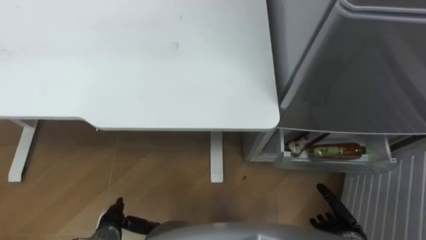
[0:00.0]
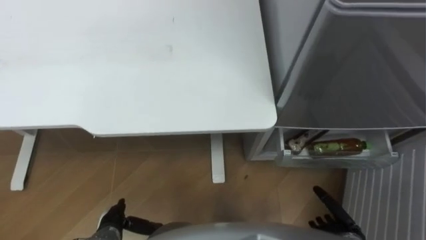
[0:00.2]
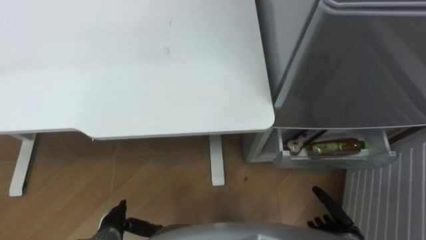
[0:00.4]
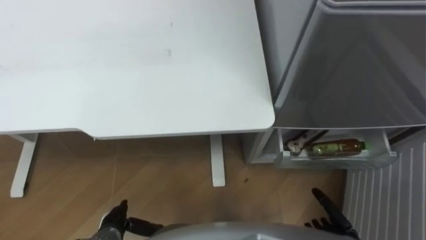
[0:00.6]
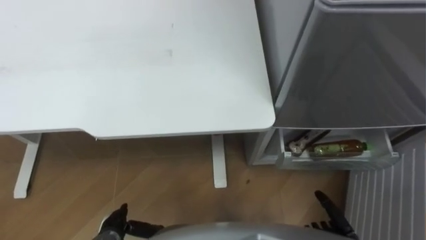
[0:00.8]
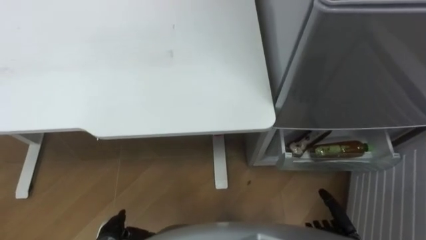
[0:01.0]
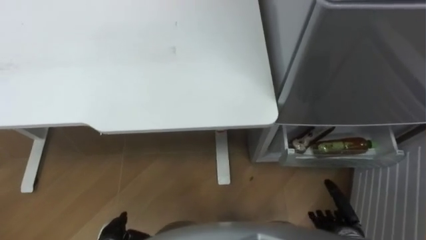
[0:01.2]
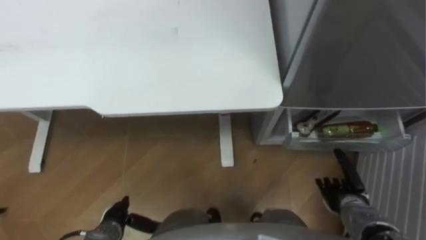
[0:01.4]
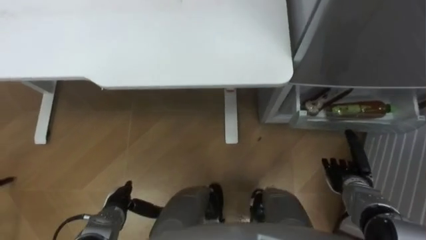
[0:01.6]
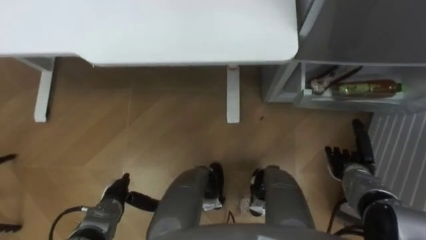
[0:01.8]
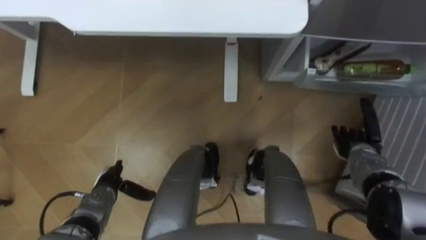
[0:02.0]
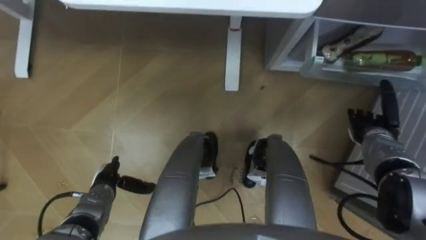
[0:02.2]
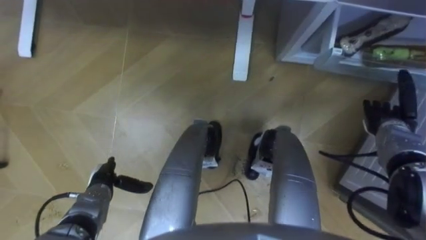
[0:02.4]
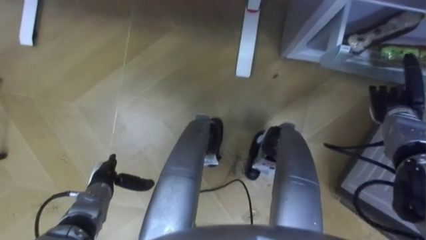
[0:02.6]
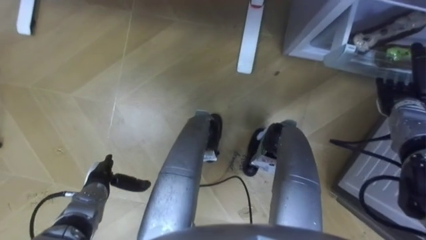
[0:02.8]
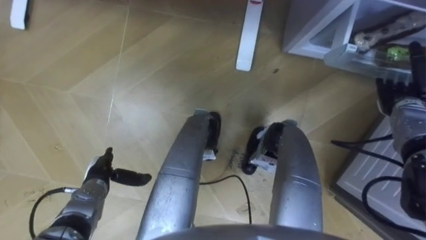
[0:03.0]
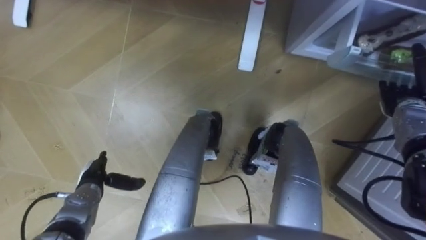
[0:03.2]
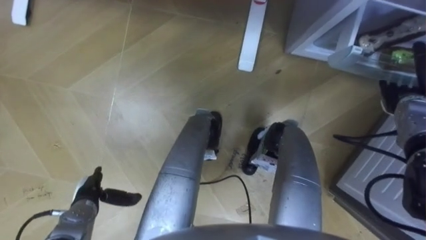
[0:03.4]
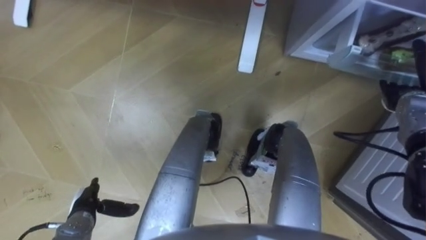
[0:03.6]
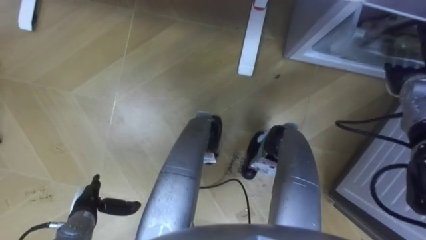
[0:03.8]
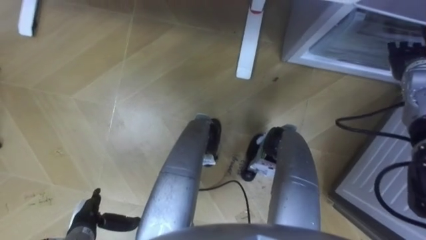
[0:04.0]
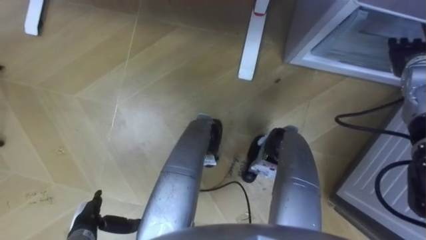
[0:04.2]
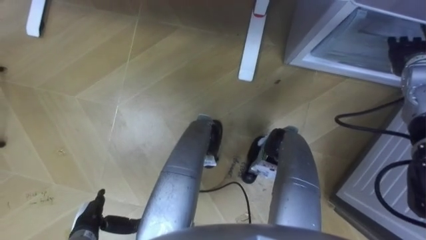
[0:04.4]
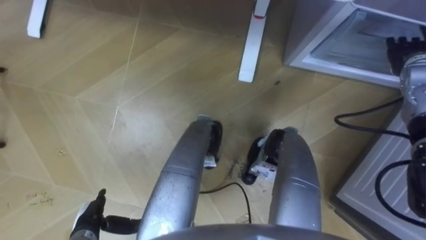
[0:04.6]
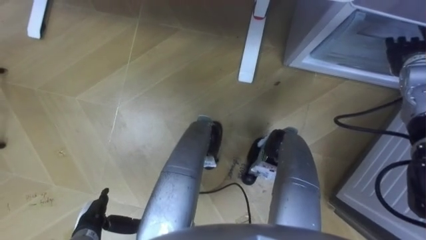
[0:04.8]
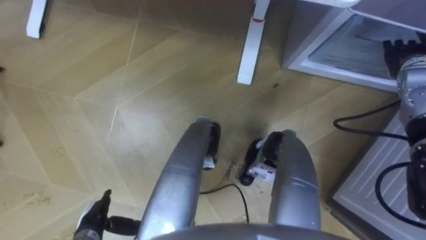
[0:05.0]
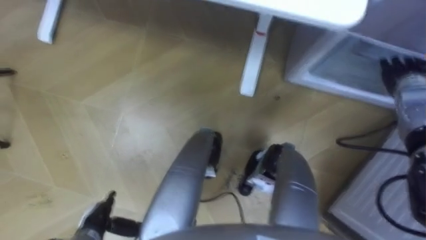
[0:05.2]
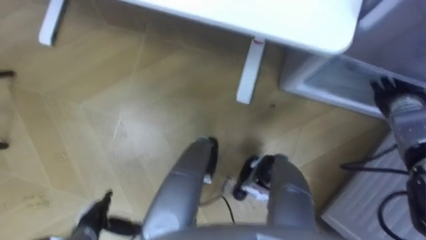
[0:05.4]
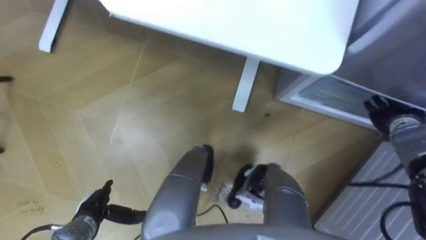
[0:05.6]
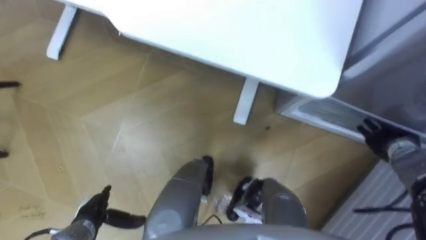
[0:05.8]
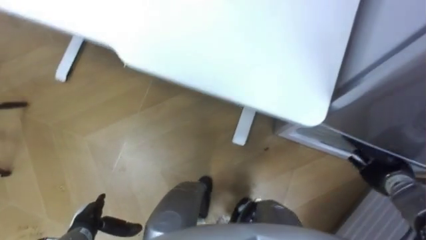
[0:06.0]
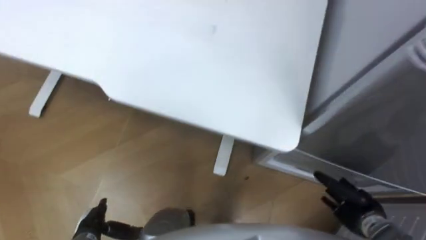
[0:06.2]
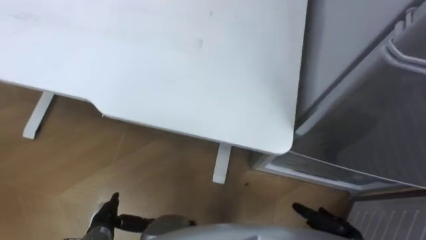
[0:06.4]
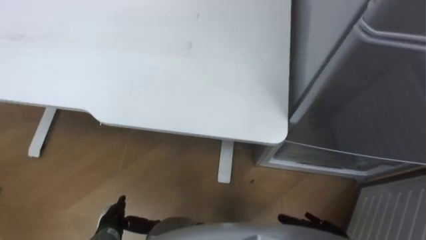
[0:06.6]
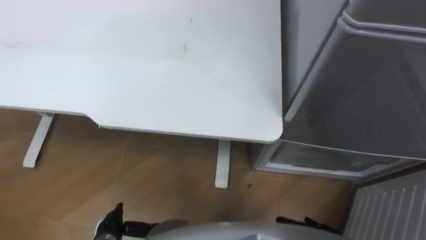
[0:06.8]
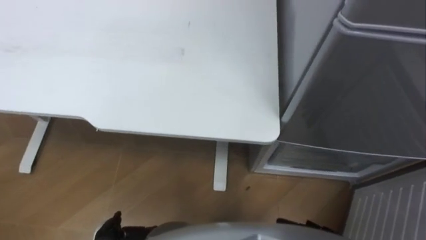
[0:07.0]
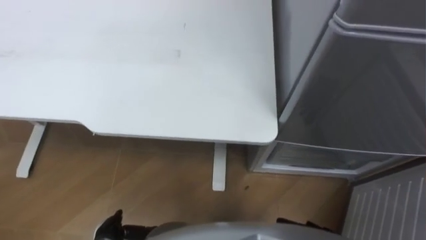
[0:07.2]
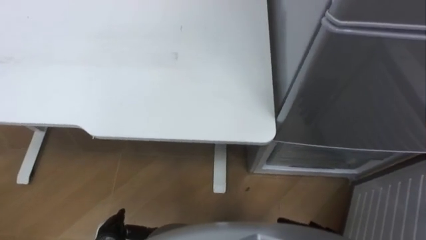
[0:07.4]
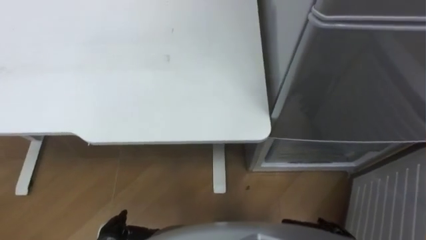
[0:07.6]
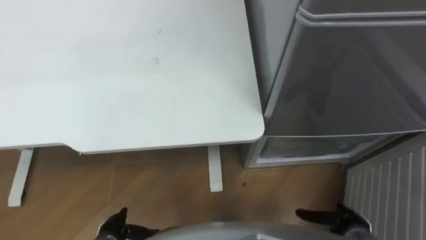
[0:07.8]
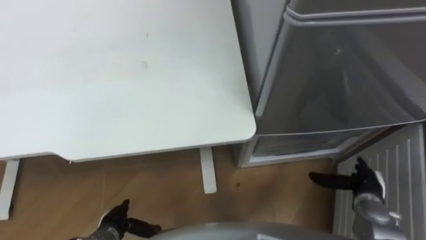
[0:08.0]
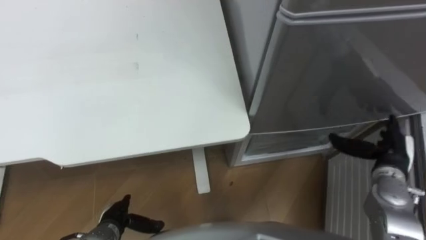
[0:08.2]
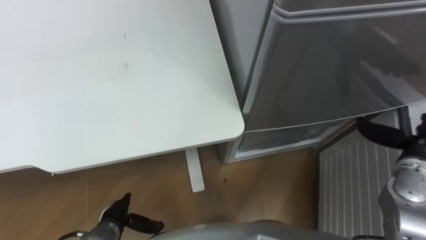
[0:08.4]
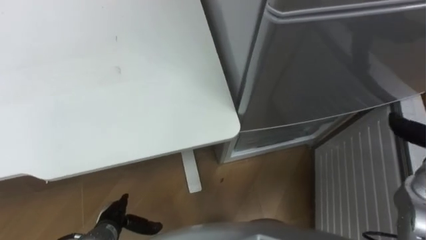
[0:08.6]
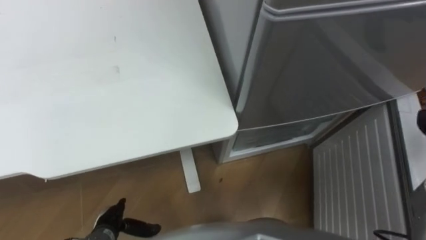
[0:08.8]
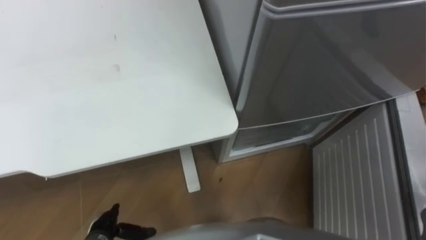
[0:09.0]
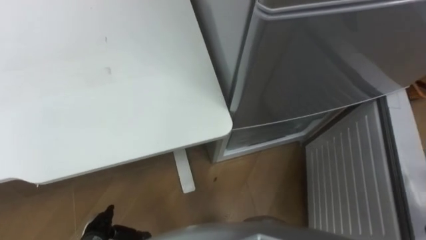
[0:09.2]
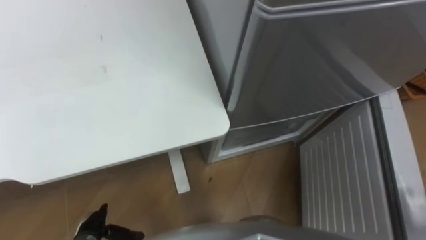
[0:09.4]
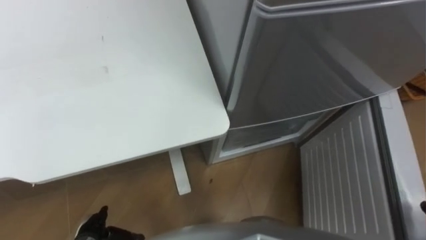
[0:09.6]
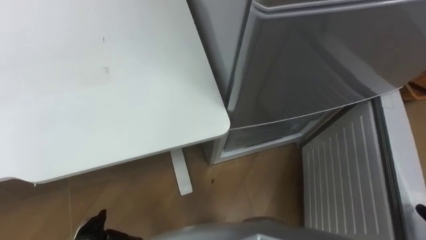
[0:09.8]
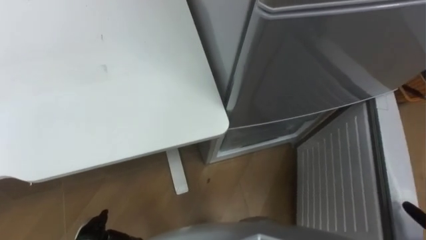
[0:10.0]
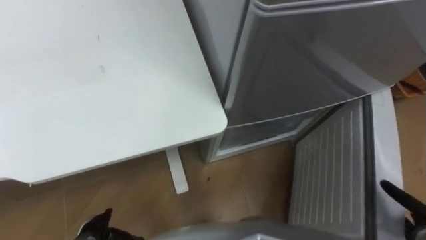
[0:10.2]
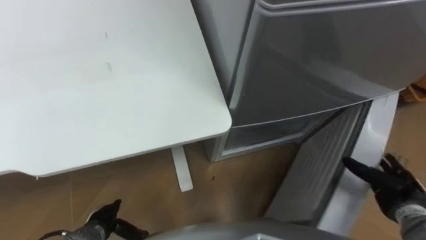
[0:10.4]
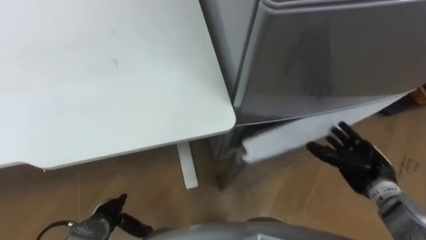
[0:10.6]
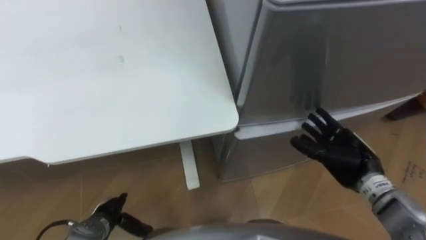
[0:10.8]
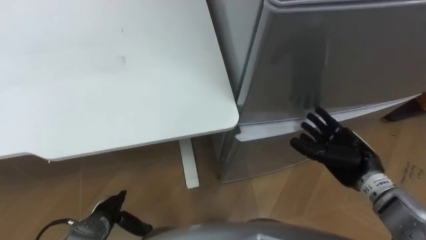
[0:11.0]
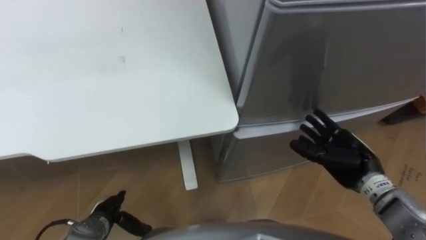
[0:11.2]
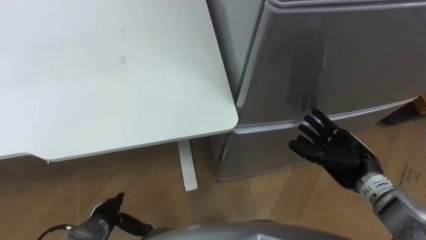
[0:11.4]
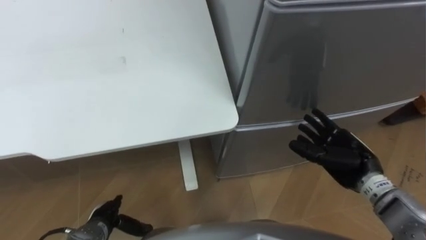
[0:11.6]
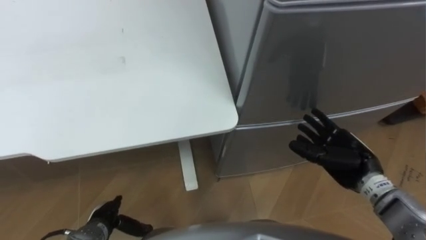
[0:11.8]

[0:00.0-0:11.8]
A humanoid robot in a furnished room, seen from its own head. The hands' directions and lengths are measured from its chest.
Task of the whole recording: Place the drink on the table on the bottom shelf of the refrigerator, then close the drawer and the refrigerator door.
0:00.0 to 0:01.4: The right hand heads forward, covering approximately 5 cm.
0:01.4 to 0:03.0: The right hand heads forward, upward and to the right, covering approximately 25 cm, while the left hand travels forward by about 10 cm.
0:03.0 to 0:04.4: The left hand shifts approximately 10 cm backward. The right hand is displaced upward and forward by approximately 10 cm.
0:04.4 to 0:06.0: The right hand travels backward and downward by approximately 25 cm.
0:06.0 to 0:07.4: The left hand moves some 5 cm.
0:10.4 to 0:11.8: The right hand travels to the left, forward and upward by approximately 15 cm.

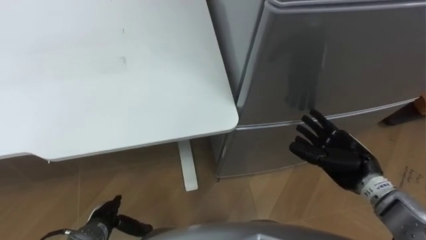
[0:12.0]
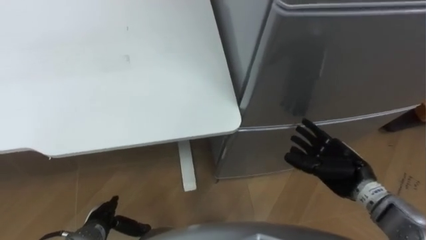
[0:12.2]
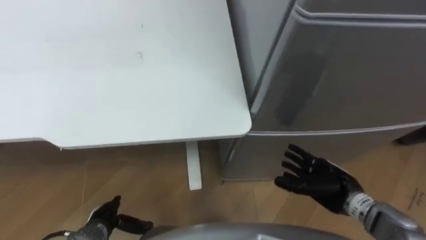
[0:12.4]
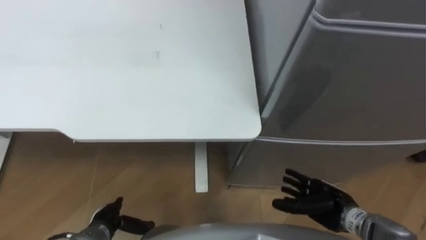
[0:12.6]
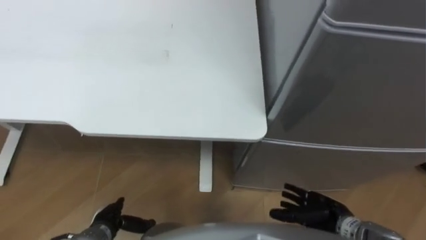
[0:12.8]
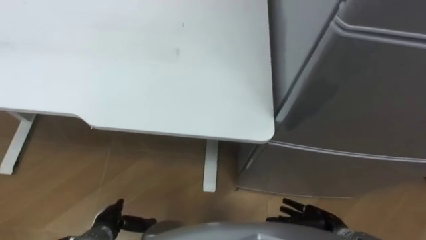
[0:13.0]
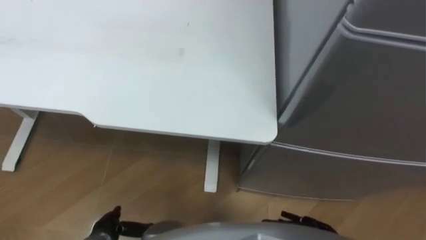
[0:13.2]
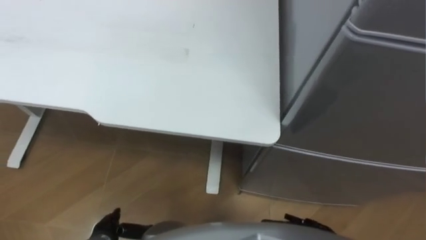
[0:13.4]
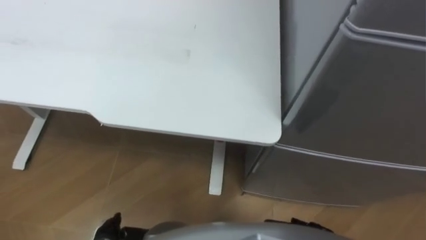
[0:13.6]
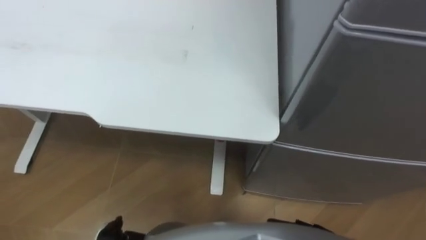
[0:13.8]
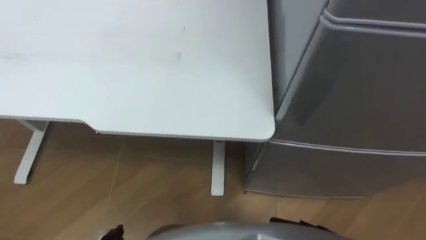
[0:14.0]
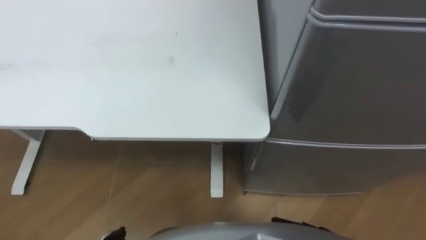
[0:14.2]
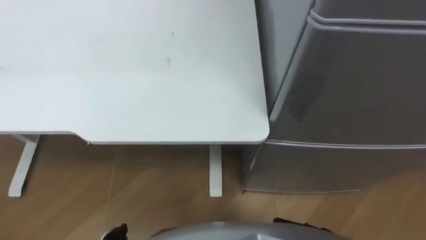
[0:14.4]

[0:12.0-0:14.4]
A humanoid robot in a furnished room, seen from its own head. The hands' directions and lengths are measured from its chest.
Task of the whole recording: Place the drink on the table on the bottom shelf of the refrigerator, then close the drawer and the refrigerator door.
0:12.0 to 0:13.2: The right hand goes approximately 20 cm downward and backward.

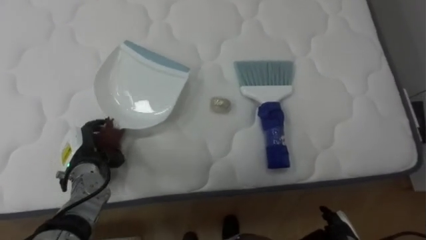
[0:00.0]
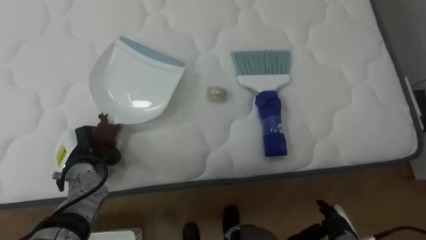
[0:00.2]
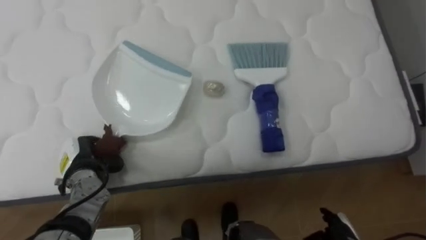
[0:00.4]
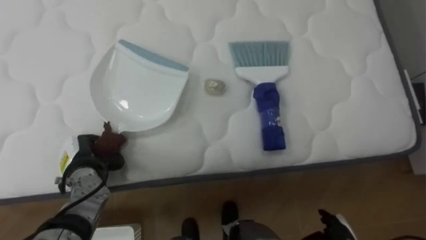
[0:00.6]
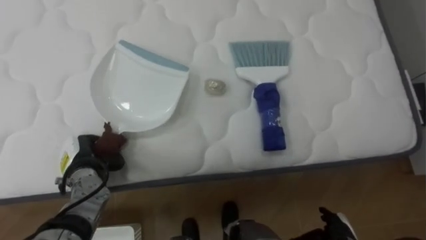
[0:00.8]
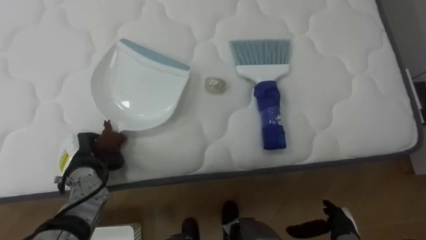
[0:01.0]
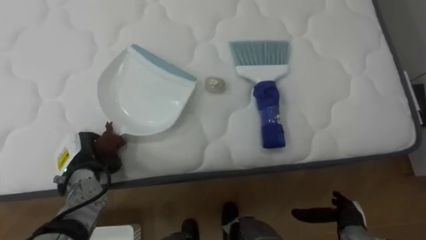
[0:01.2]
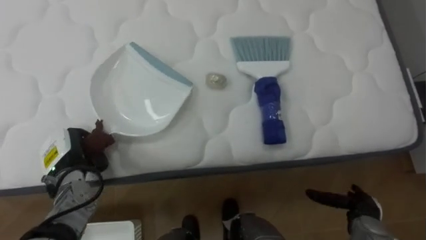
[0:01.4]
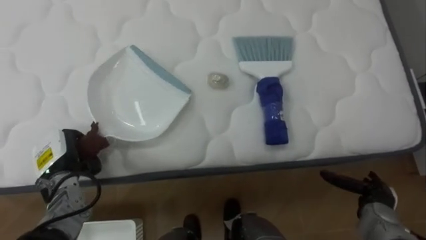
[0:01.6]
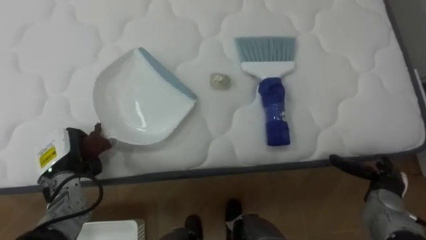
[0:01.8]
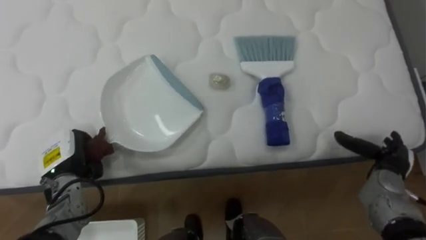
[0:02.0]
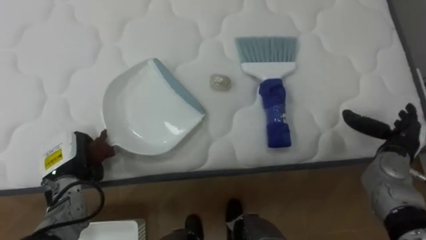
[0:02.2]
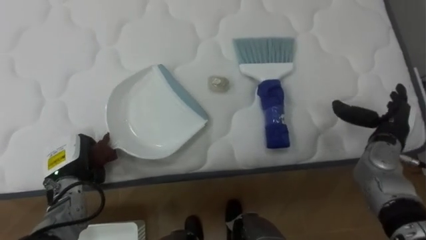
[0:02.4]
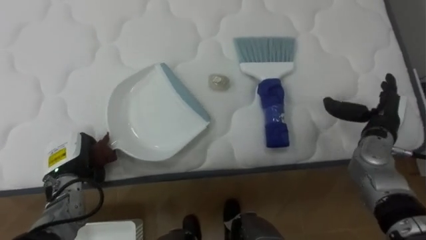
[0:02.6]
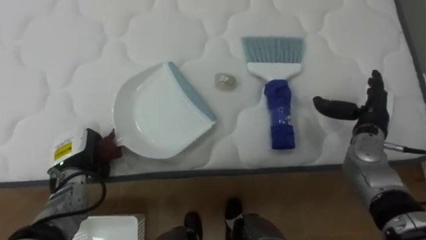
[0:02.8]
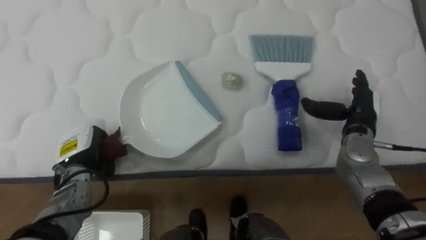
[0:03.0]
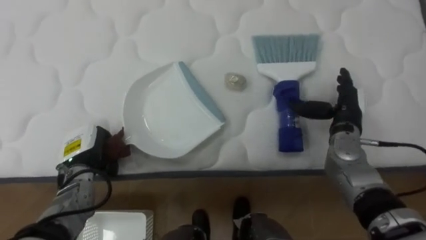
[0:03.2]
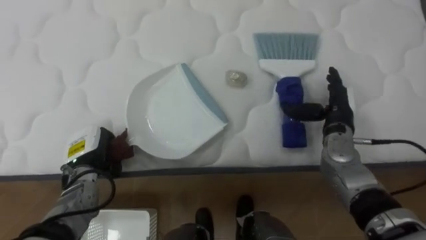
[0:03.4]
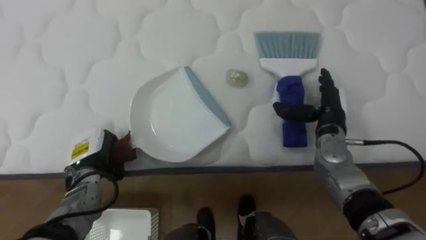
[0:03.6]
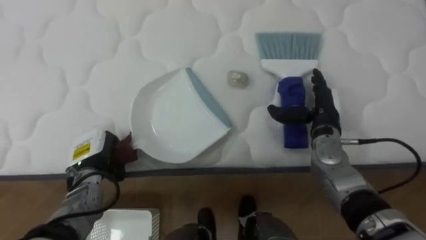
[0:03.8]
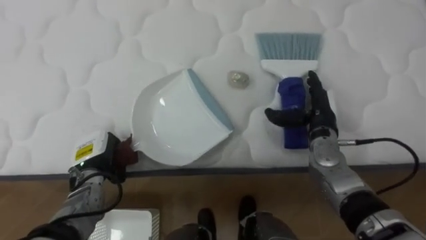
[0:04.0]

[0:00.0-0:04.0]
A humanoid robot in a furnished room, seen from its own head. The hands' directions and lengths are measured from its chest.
Task of the whole recording: Pick up the brush on your right and the dustpan on your left. Use the brush to sweep the crumpled paper on the bed into the dustpan, then turn left and empty it into the basket.
0:00.0 to 0:01.4: The left hand closes up.
0:01.4 to 0:02.6: The right hand shifts about 20 cm upward and forward.
0:02.6 to 0:04.0: The right hand travels to the left by some 10 cm.
